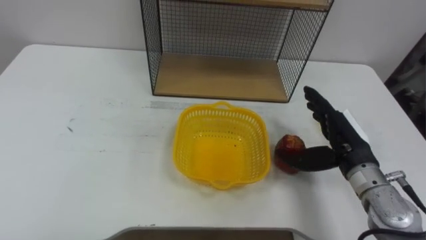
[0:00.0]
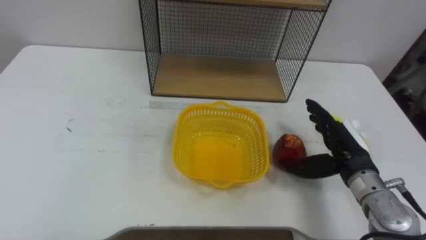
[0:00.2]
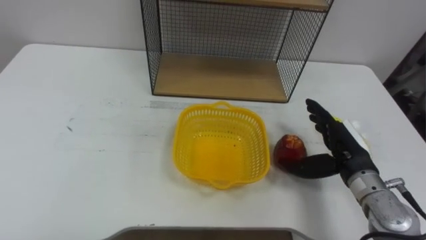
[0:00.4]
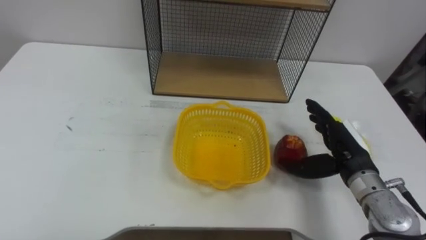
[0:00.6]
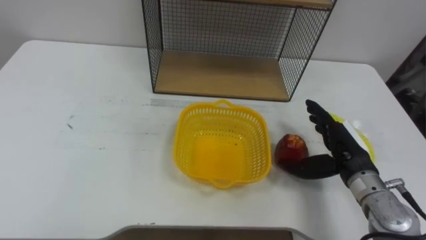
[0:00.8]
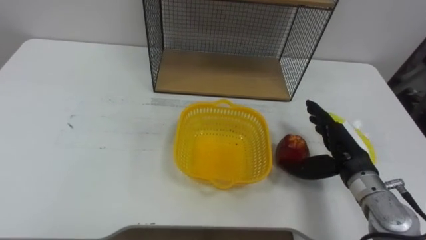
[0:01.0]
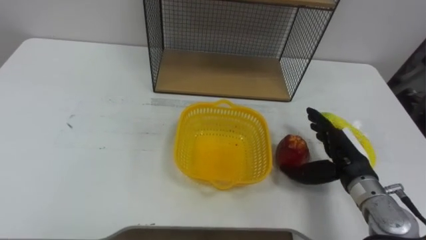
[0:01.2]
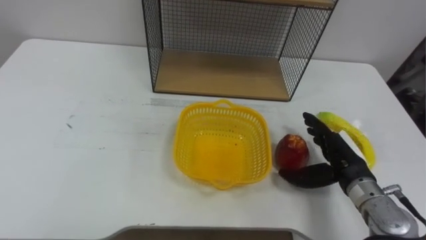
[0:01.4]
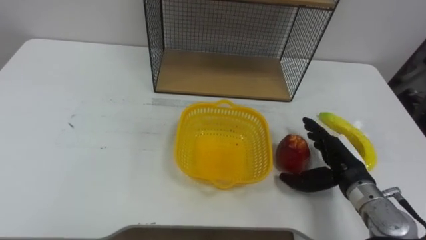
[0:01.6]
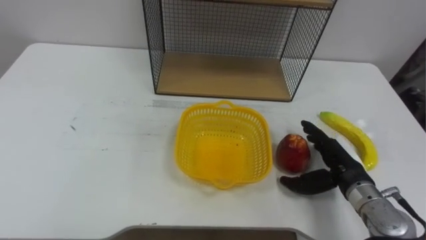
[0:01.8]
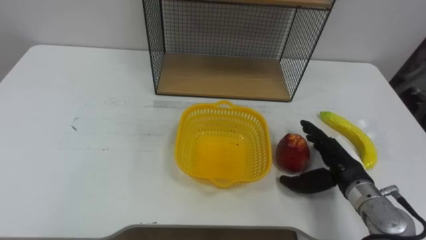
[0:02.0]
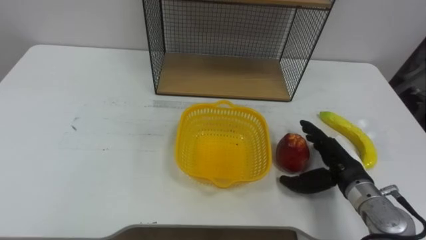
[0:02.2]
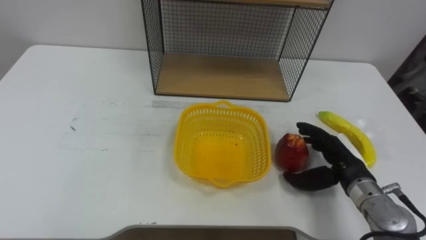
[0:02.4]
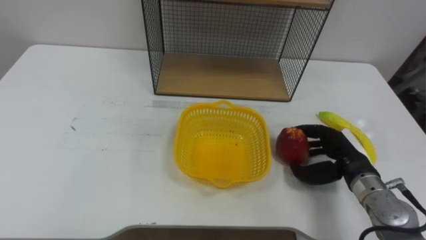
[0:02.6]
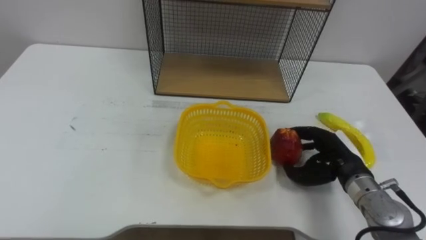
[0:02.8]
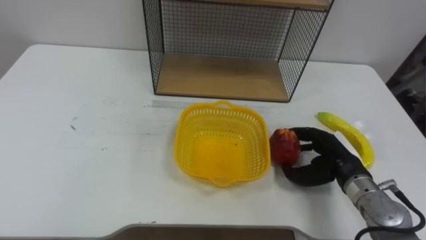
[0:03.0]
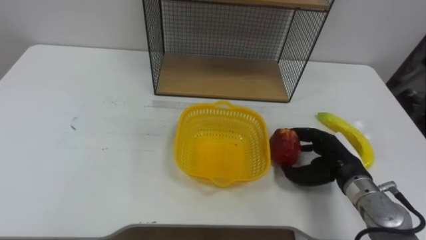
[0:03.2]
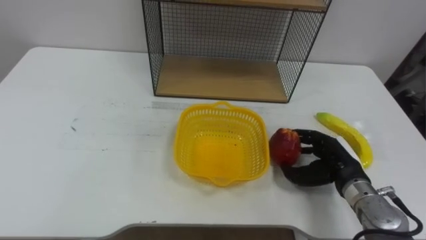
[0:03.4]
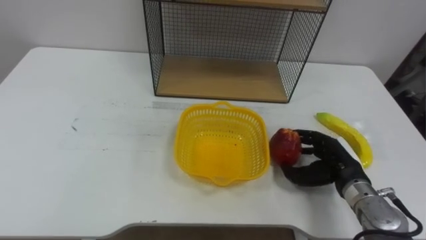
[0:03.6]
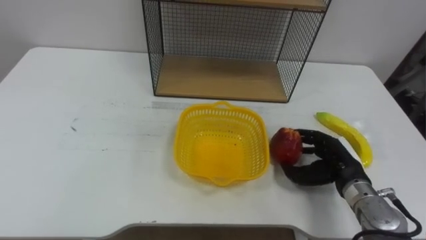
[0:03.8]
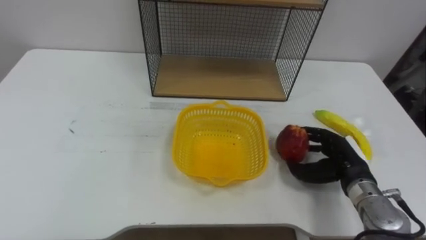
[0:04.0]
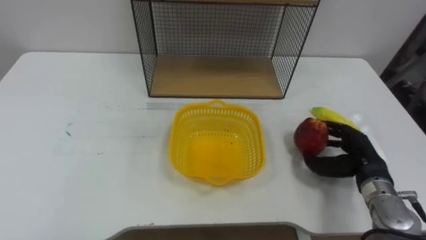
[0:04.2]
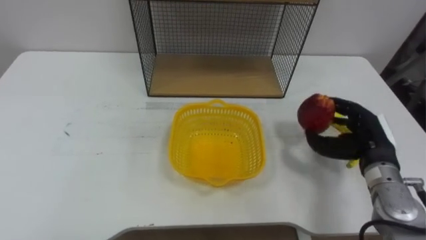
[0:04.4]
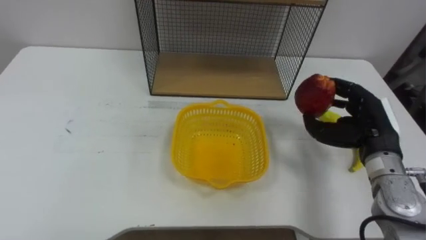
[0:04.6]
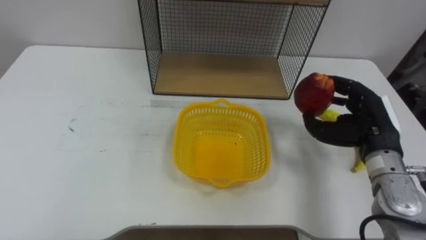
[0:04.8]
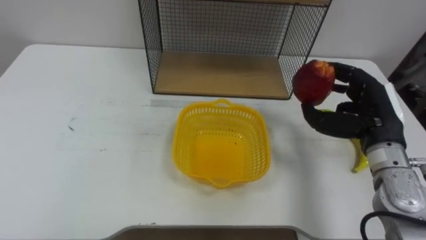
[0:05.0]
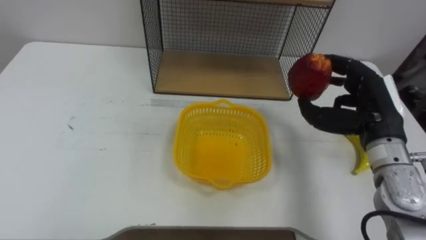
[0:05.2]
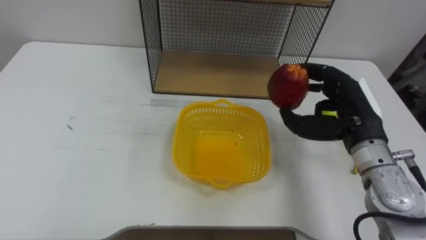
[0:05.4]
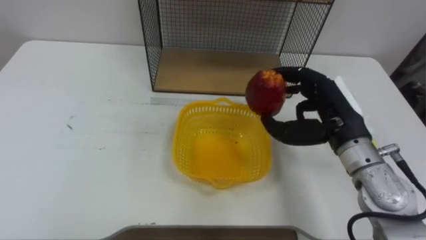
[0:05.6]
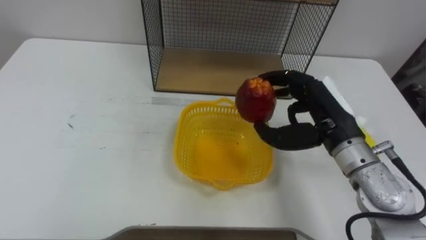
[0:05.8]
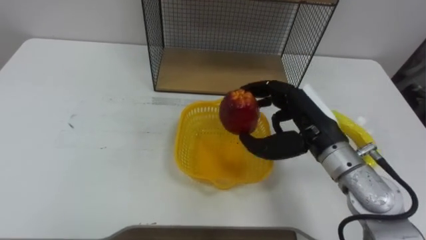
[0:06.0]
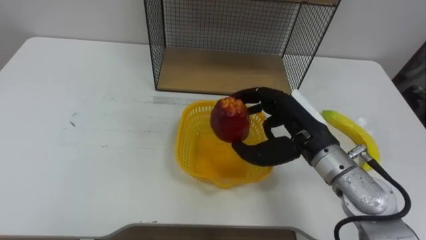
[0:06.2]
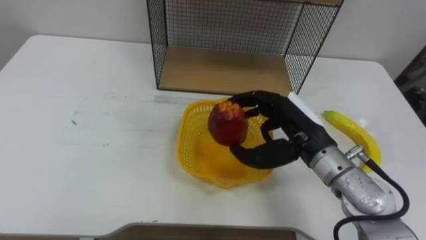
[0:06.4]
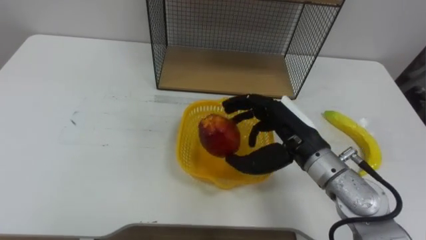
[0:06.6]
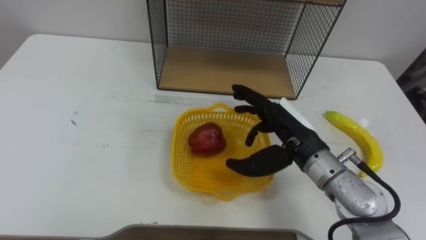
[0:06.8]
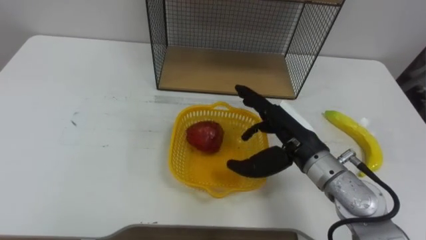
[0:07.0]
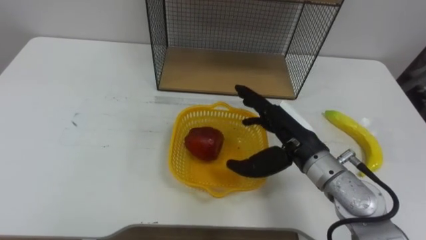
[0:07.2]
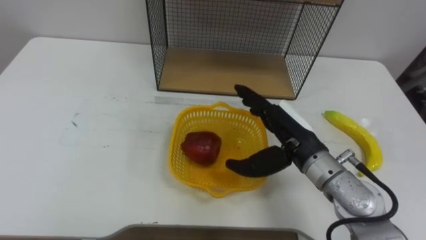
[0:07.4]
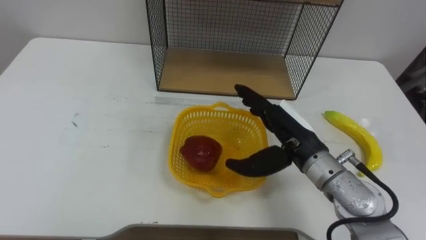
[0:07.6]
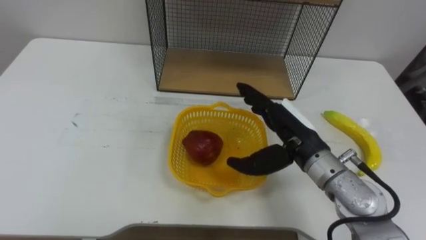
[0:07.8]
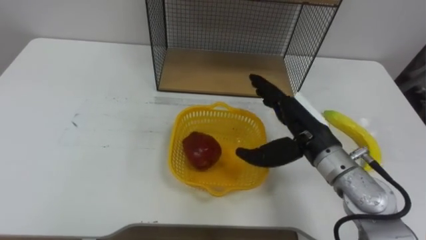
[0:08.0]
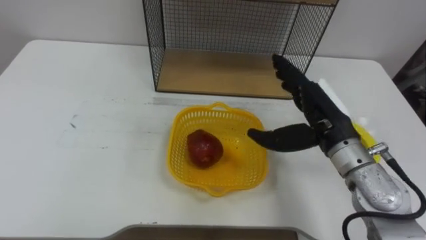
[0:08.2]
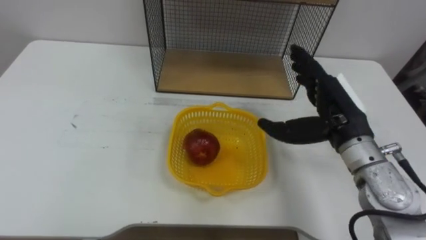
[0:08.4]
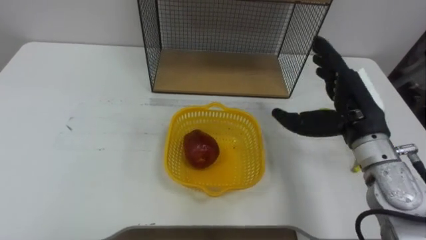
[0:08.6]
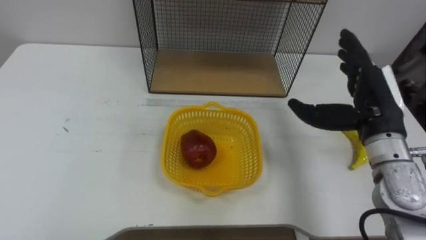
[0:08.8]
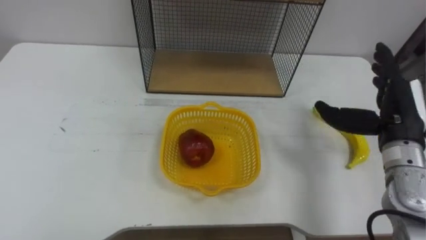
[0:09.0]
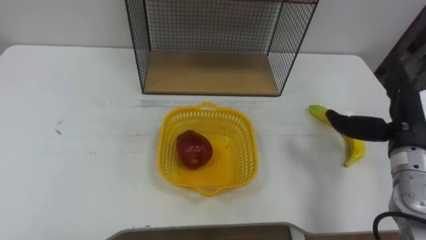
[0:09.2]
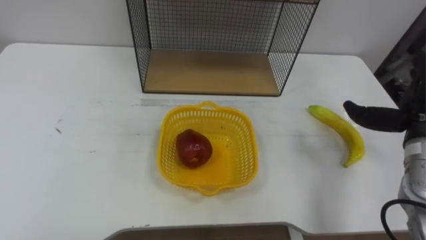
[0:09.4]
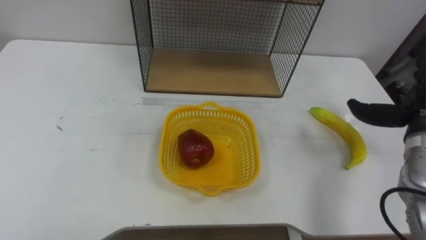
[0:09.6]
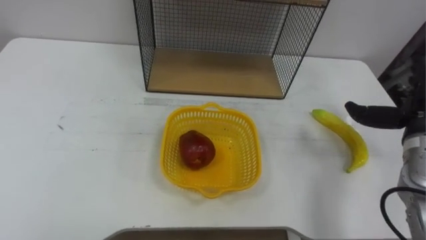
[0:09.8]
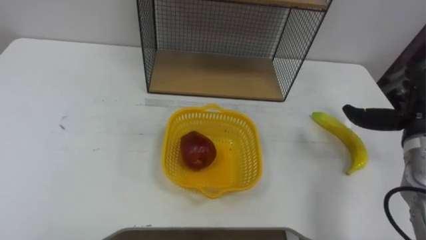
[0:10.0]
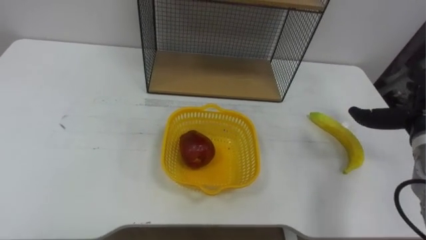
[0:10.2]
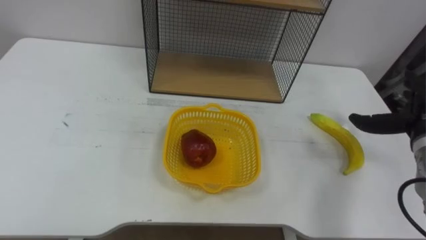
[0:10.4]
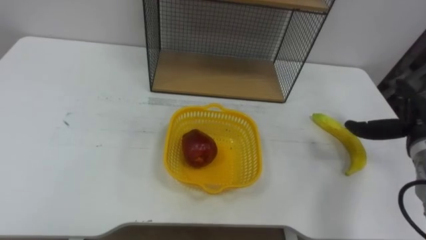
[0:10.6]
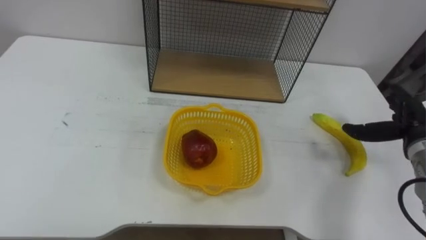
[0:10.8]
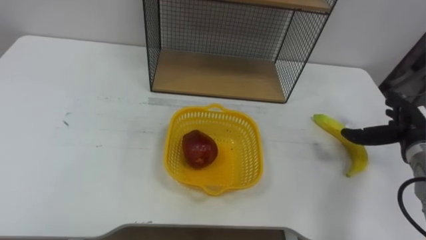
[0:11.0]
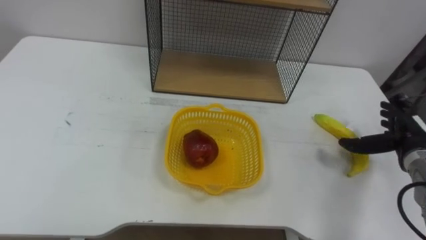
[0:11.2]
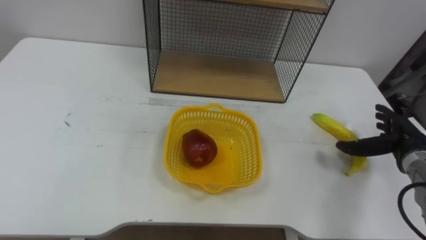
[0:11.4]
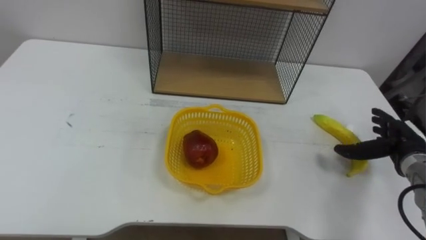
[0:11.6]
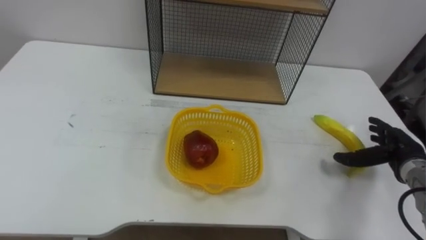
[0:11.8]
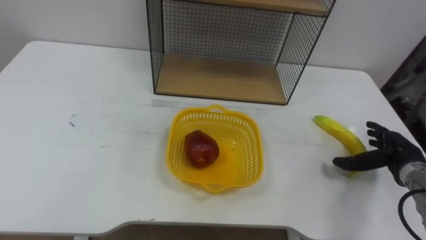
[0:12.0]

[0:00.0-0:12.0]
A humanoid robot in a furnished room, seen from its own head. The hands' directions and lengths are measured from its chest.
Task of the whole recording: Put the fruit on the table into the basket, then place the basket on the shelf.
0:00.0 to 0:01.6: The right hand goes some 5 cm downward.
0:01.6 to 0:03.0: The right hand closes.
0:03.0 to 0:04.4: The right hand moves roughly 5 cm.
0:04.4 to 0:06.0: The right hand moves to the left and upward, approximately 15 cm.
0:06.0 to 0:07.6: The right hand opens up.
0:07.6 to 0:09.0: The right hand heads to the right, covering roughly 15 cm.

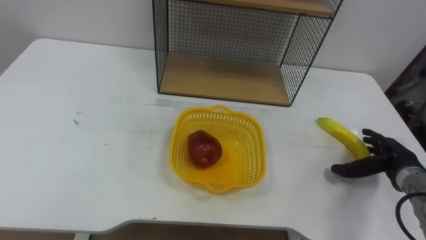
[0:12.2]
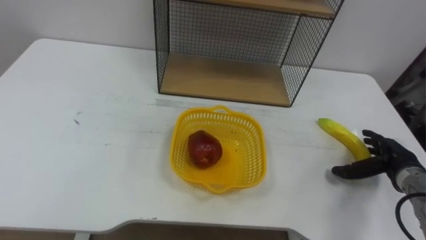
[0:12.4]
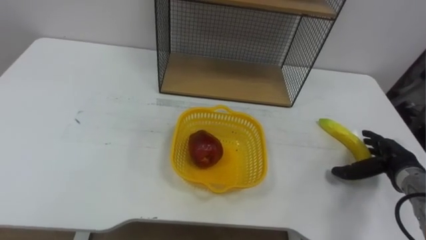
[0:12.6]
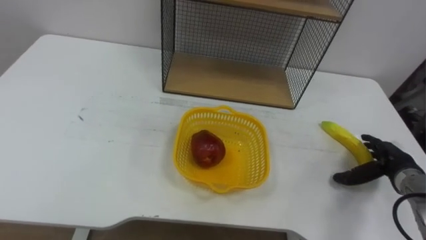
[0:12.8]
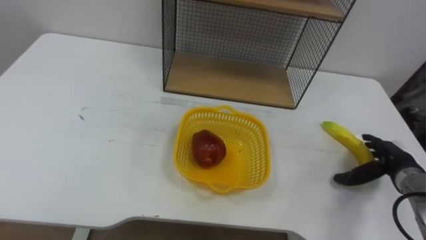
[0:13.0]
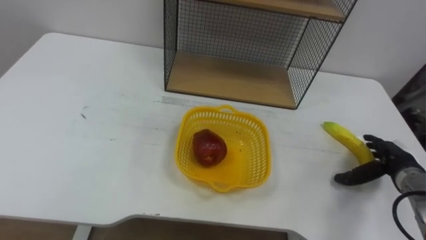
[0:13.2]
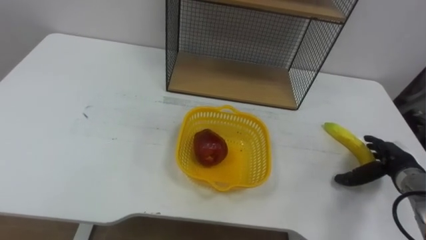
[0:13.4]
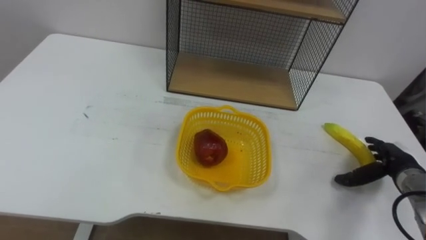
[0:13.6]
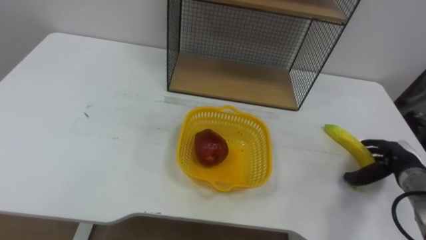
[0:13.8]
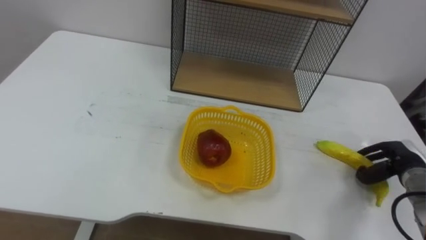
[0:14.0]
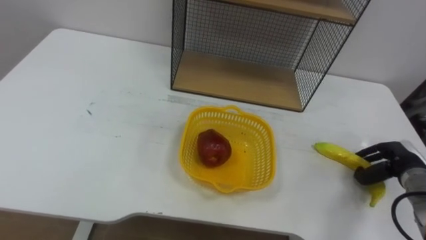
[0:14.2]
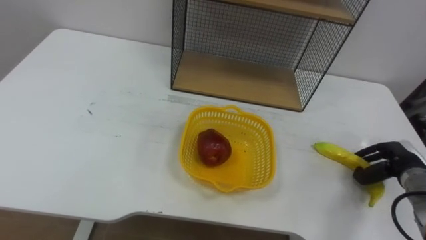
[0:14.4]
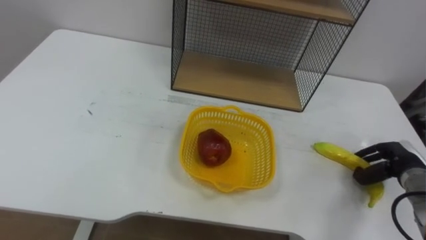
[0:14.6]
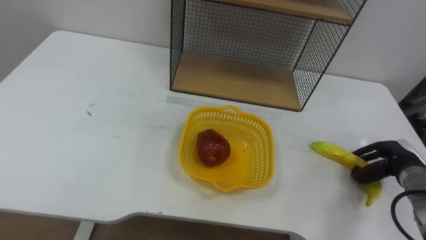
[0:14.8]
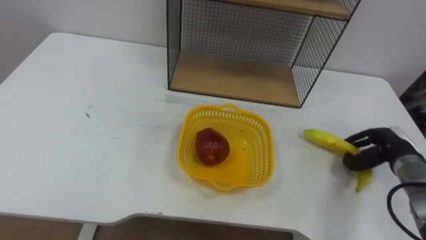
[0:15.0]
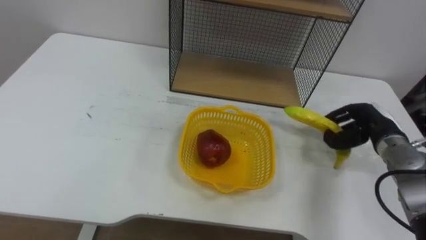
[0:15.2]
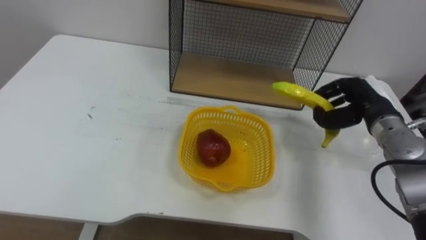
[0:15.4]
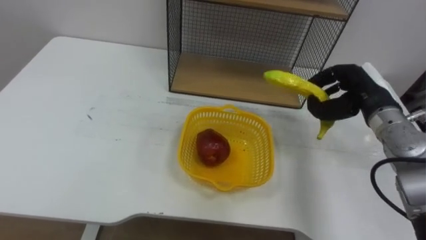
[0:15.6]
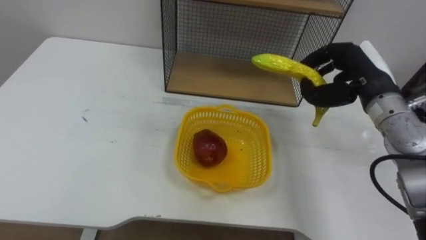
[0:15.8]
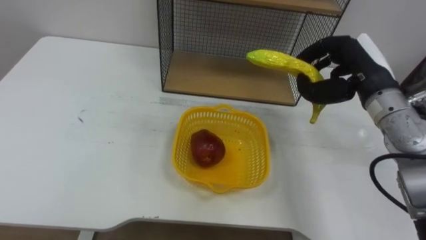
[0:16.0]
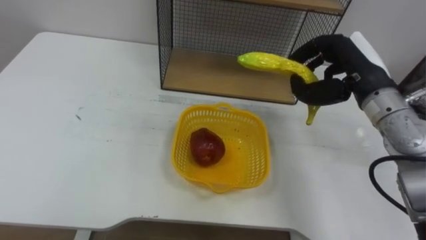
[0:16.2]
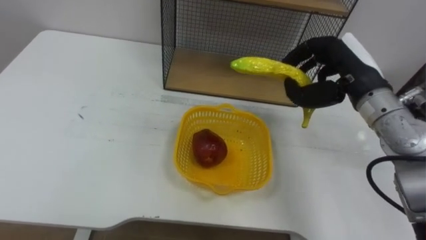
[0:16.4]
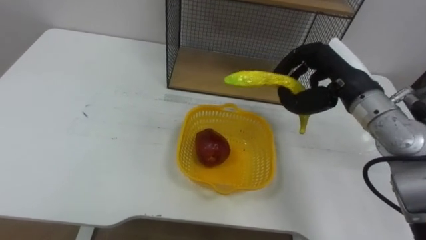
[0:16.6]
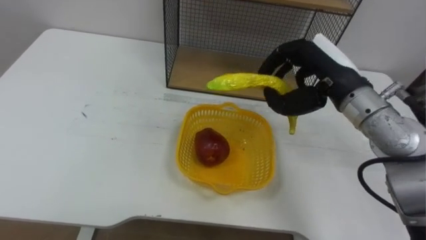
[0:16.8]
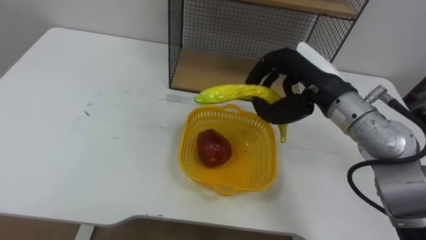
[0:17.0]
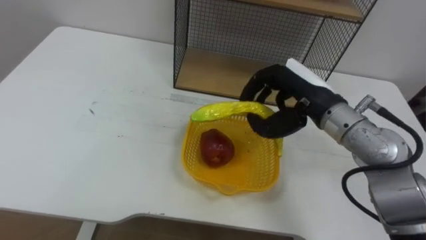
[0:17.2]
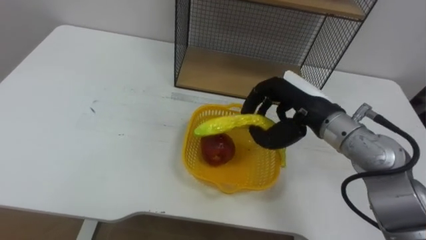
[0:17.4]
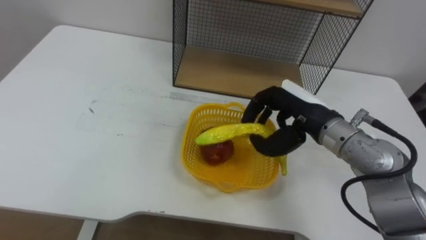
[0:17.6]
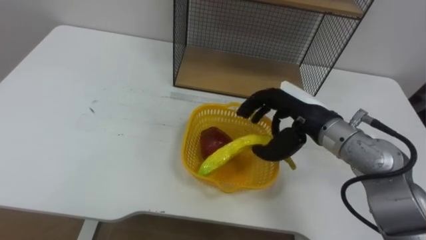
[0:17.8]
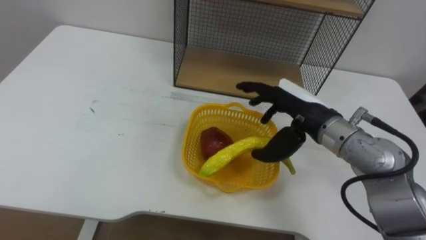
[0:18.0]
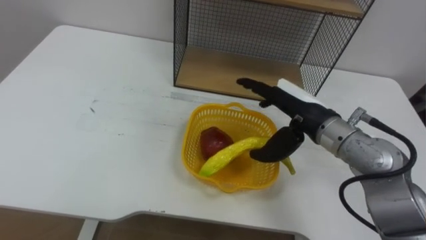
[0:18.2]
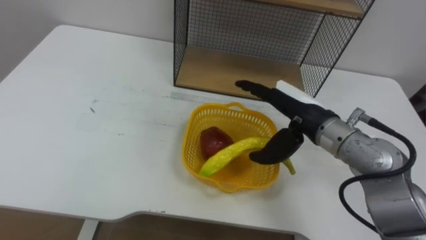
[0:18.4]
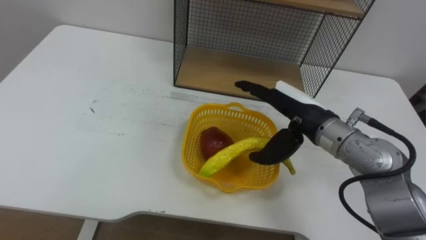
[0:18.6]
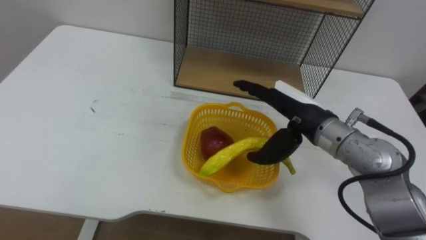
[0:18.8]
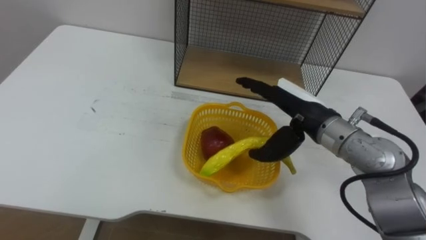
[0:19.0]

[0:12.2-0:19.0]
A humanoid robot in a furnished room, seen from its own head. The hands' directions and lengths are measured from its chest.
Task of the whole recording: Put the fruit on the table into the basket, then place the basket on the shelf.
0:13.6 to 0:15.0: The right hand closes.
0:15.0 to 0:16.2: The right hand heads upward and to the left, covering roughly 25 cm.
0:16.2 to 0:17.6: The right hand goes some 10 cm to the left and downward.
0:17.6 to 0:19.0: The right hand opens.
